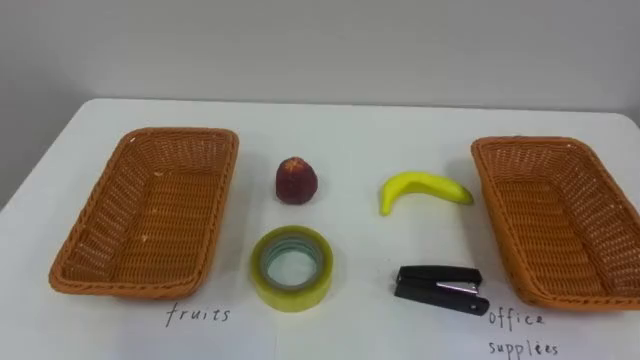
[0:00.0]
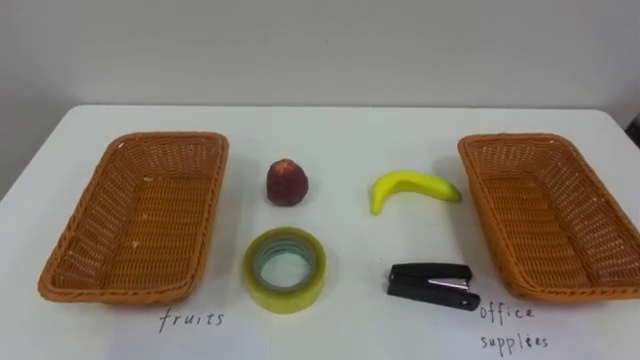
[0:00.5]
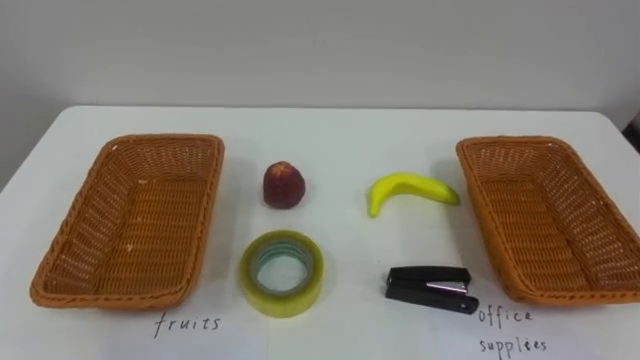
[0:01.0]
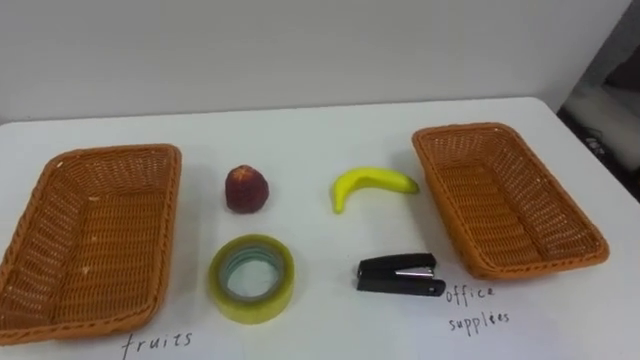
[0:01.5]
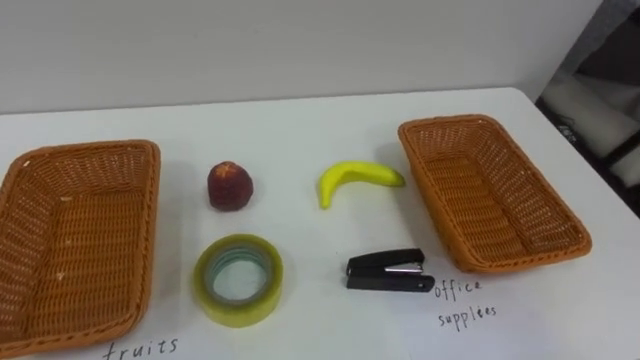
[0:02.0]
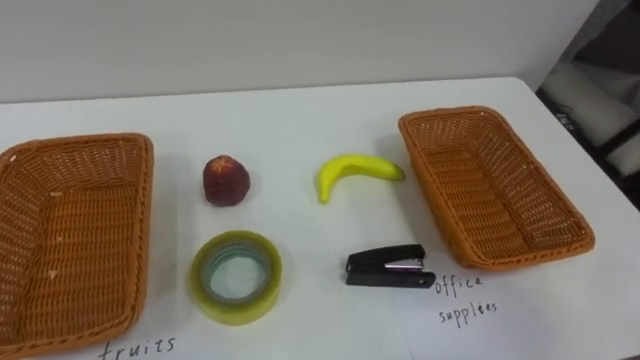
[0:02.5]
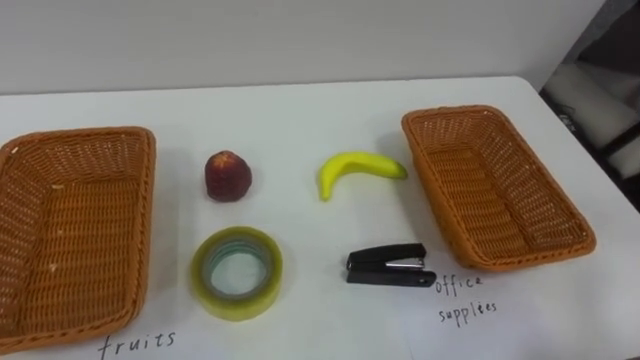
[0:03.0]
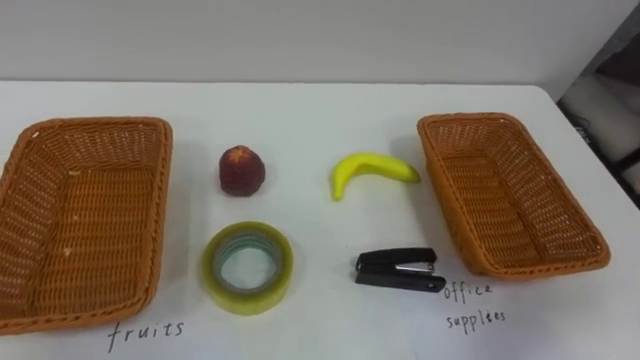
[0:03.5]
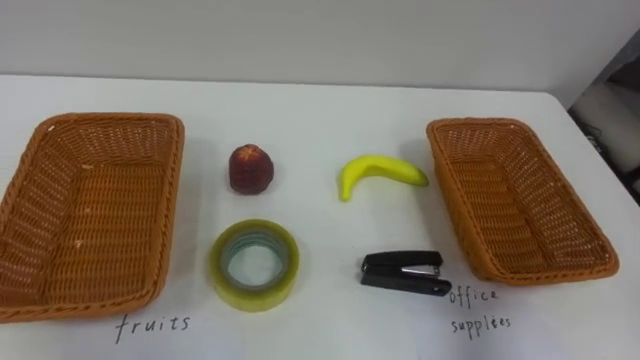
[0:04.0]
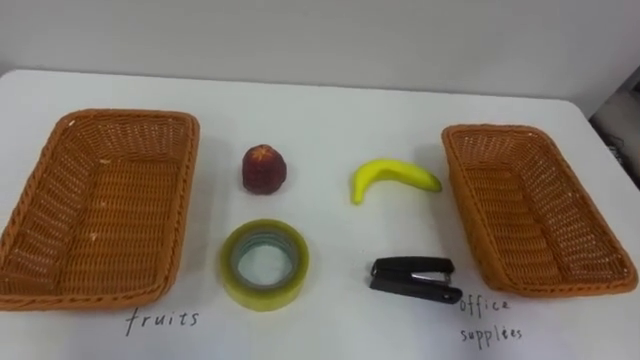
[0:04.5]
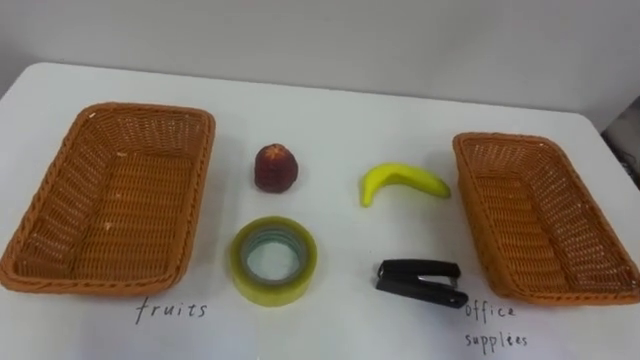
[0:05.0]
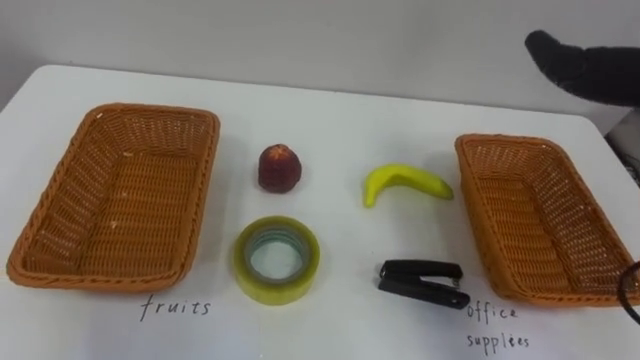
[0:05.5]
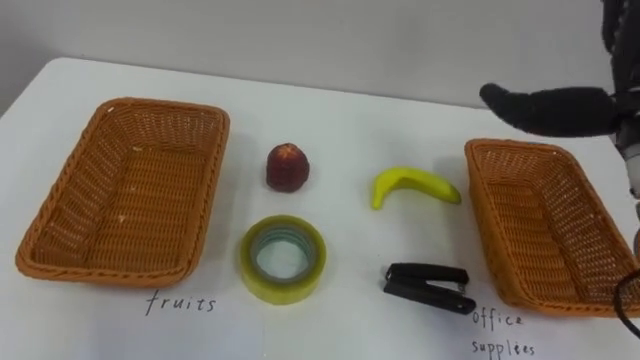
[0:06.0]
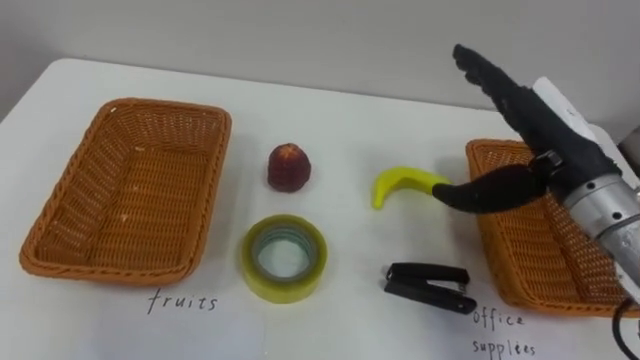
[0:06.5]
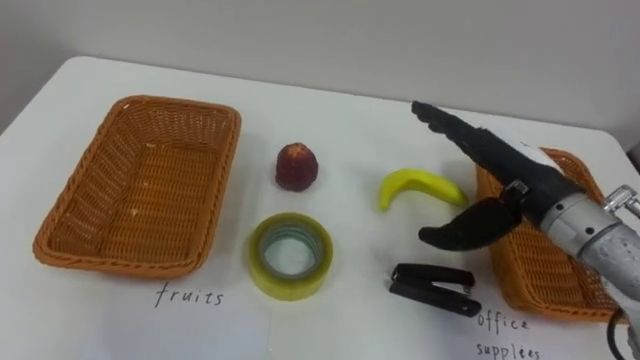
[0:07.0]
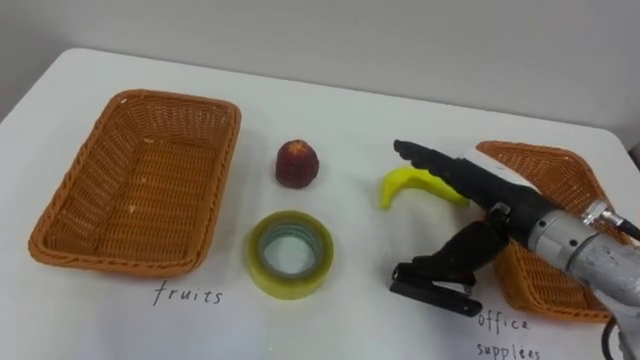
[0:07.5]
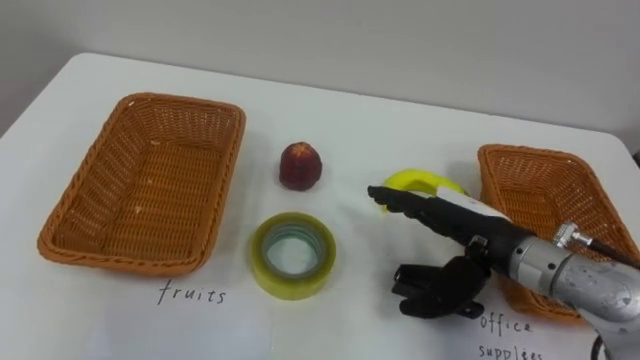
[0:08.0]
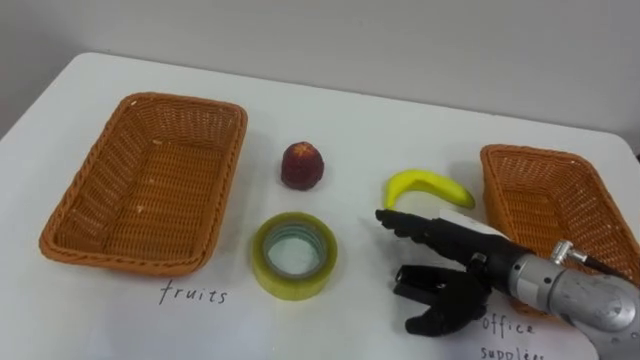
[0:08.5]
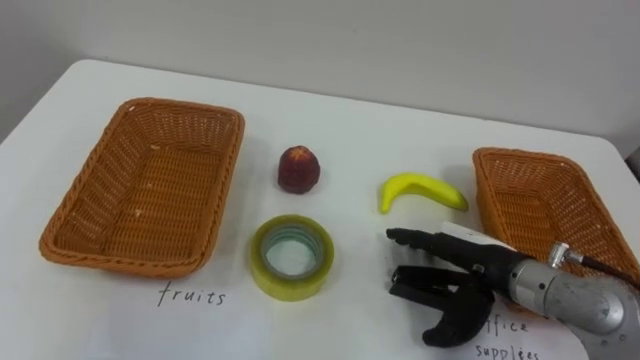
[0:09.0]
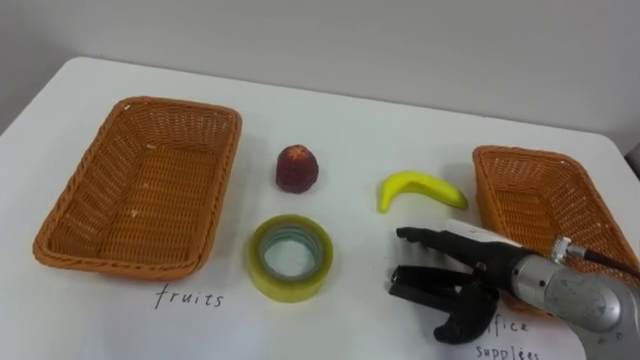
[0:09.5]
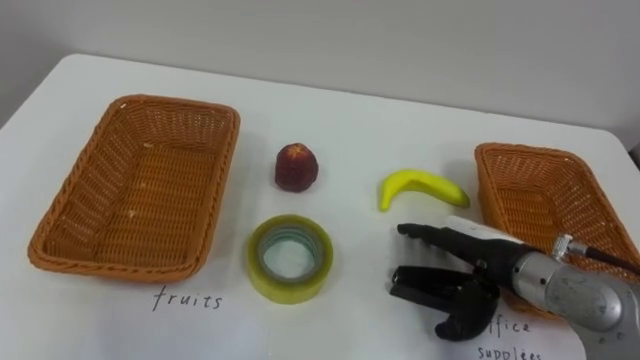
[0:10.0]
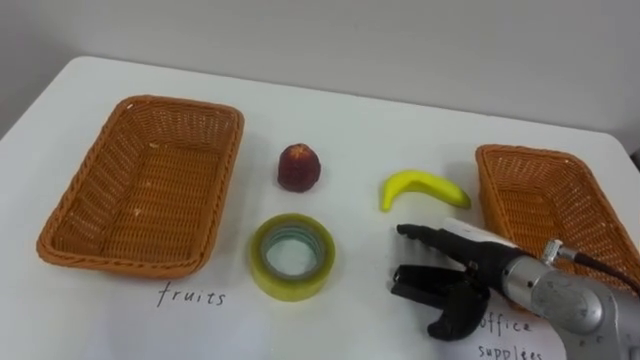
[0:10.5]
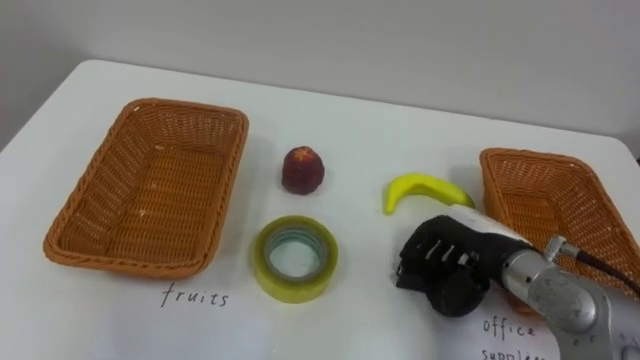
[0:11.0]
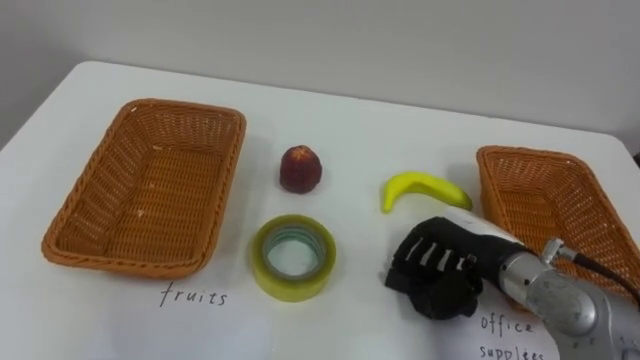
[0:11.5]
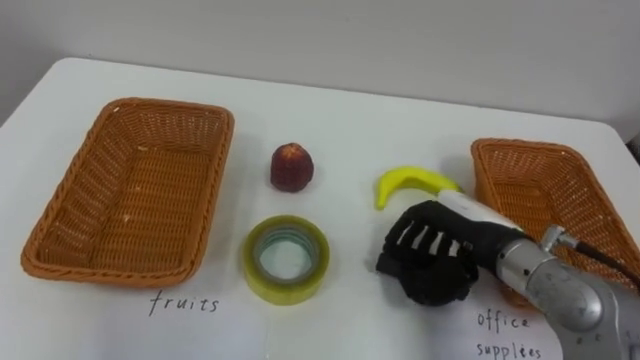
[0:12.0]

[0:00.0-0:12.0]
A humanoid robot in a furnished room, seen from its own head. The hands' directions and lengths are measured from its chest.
Task of the whole recording: Separate the items on the table and place them into the two baskets.
0:06.0 to 0:08.0: The right hand heads downward and to the left, covering about 20 cm.
0:10.0 to 0:12.0: The right hand closes its fingers.

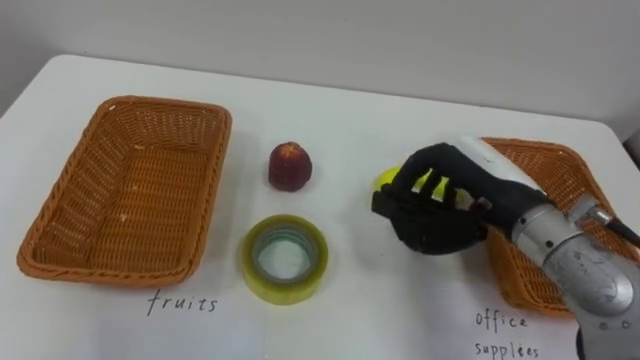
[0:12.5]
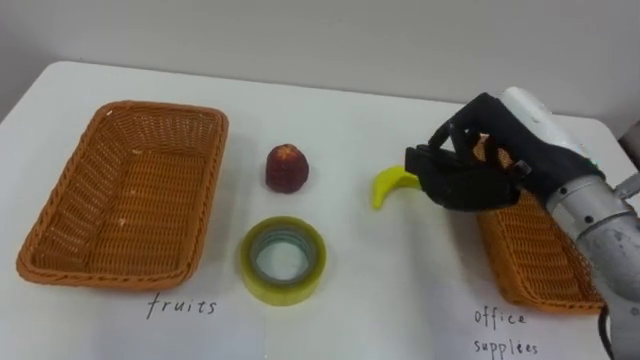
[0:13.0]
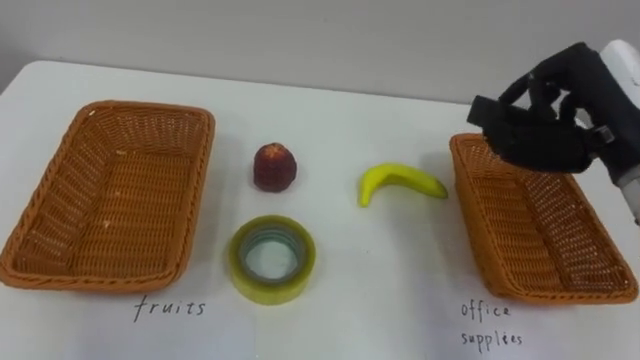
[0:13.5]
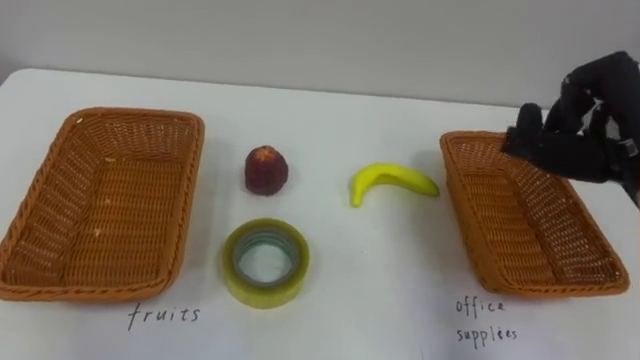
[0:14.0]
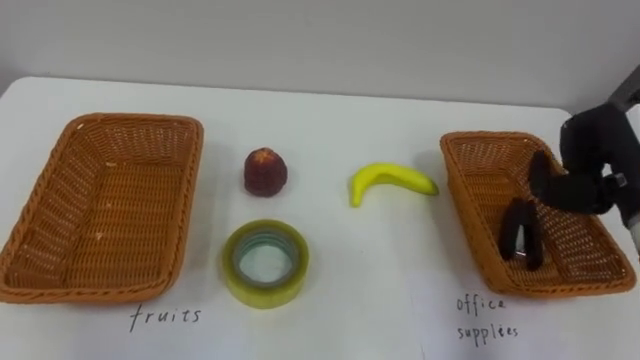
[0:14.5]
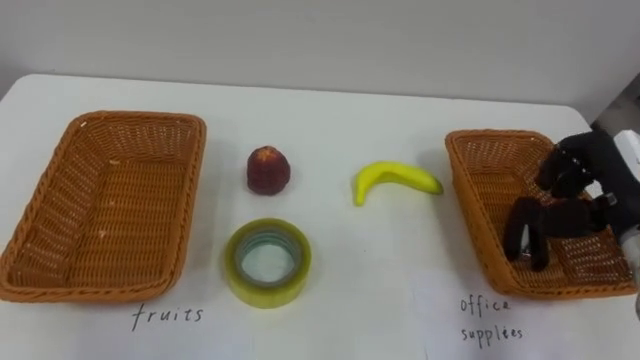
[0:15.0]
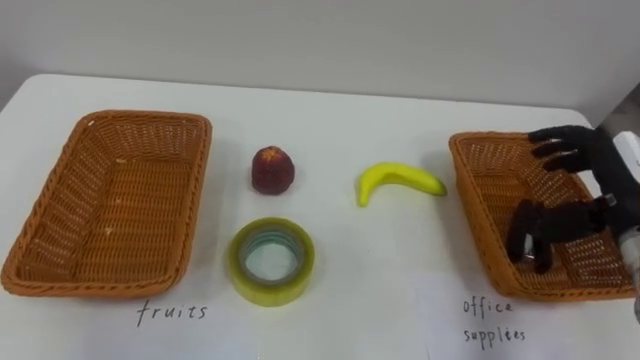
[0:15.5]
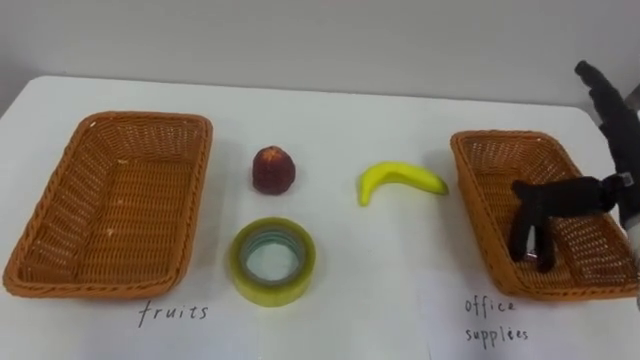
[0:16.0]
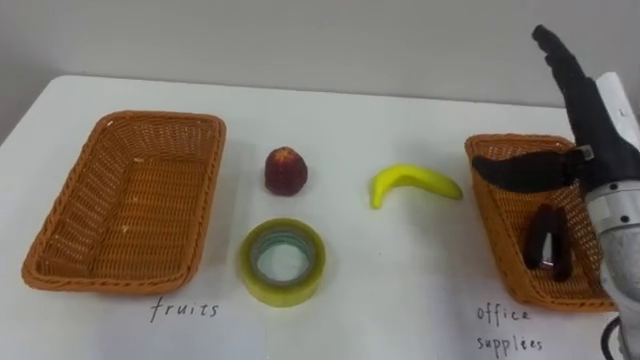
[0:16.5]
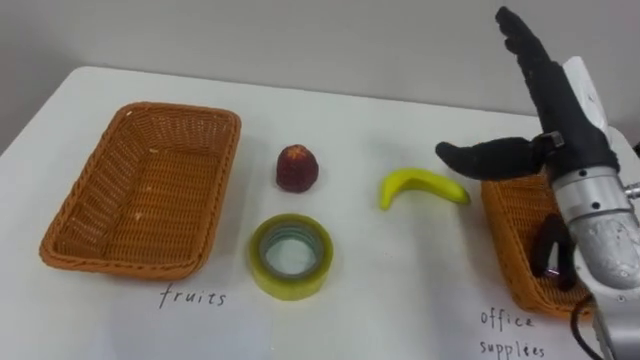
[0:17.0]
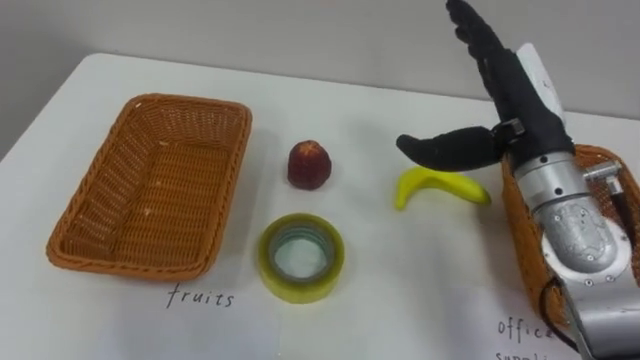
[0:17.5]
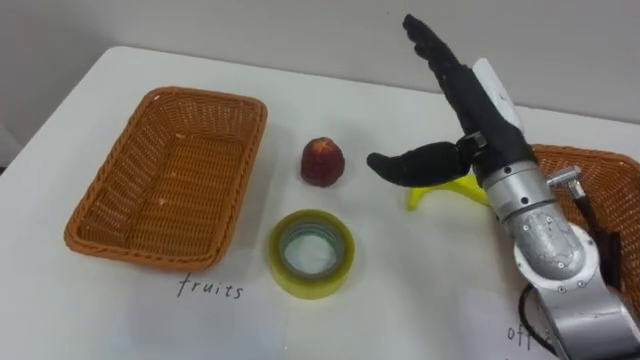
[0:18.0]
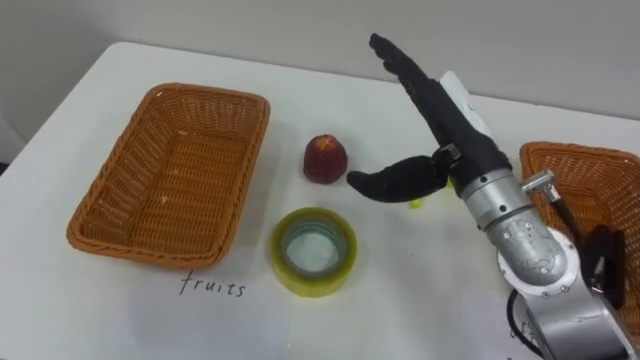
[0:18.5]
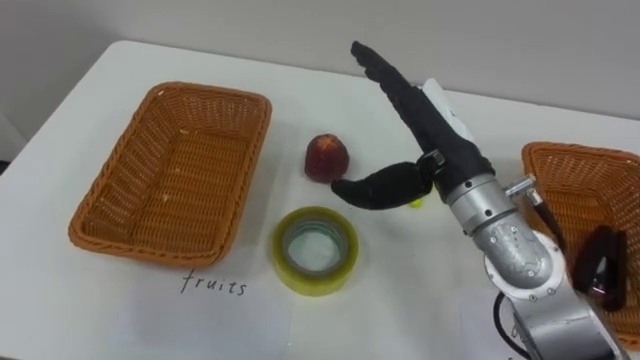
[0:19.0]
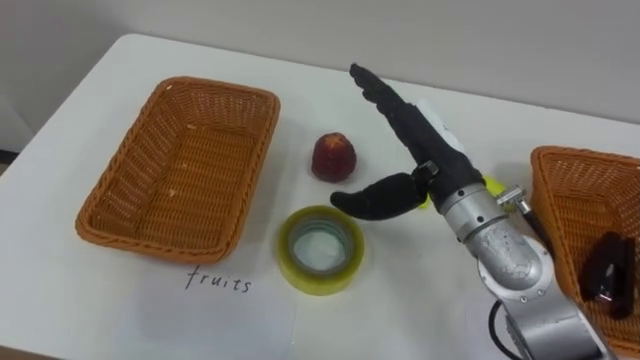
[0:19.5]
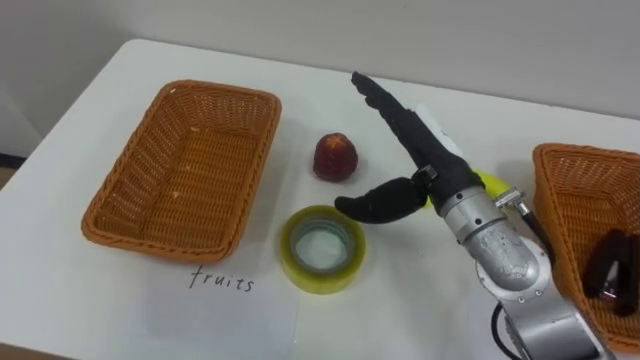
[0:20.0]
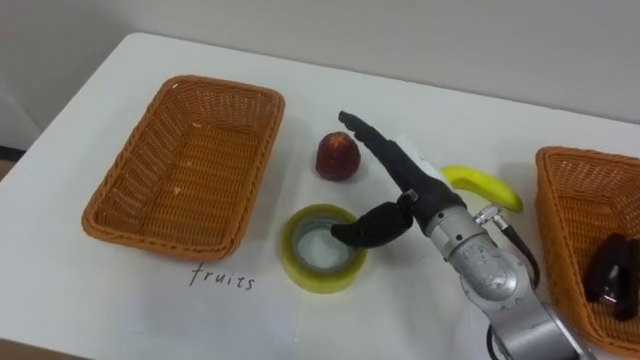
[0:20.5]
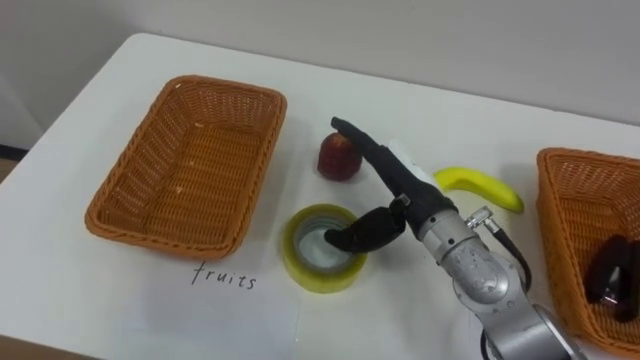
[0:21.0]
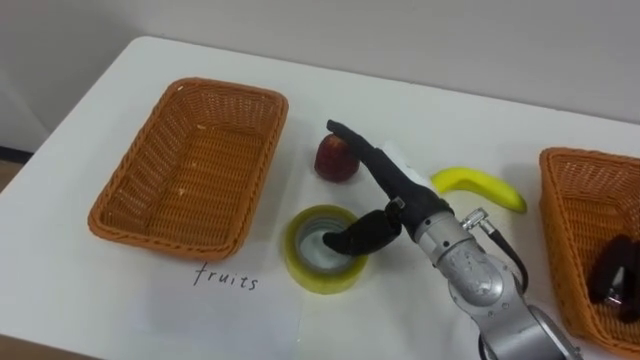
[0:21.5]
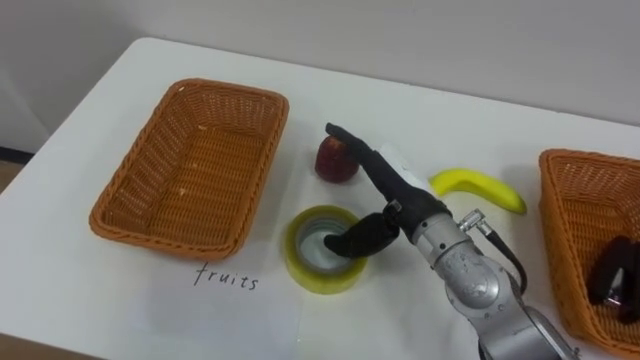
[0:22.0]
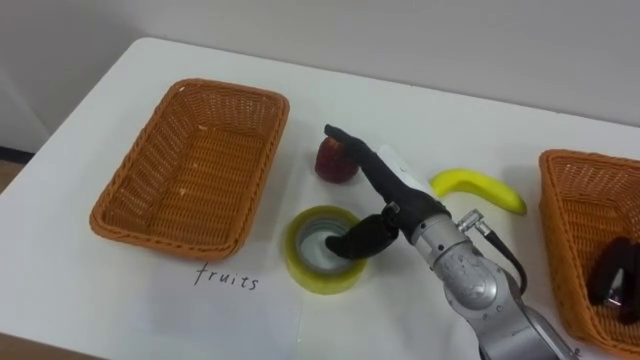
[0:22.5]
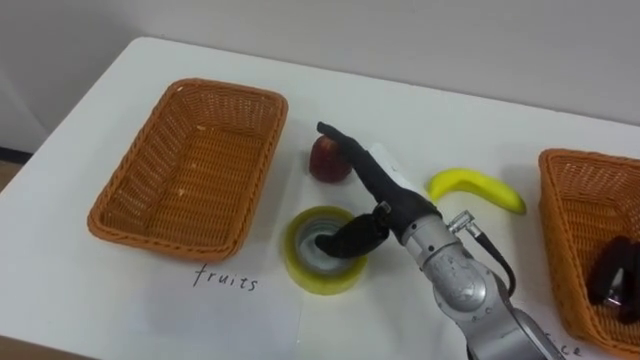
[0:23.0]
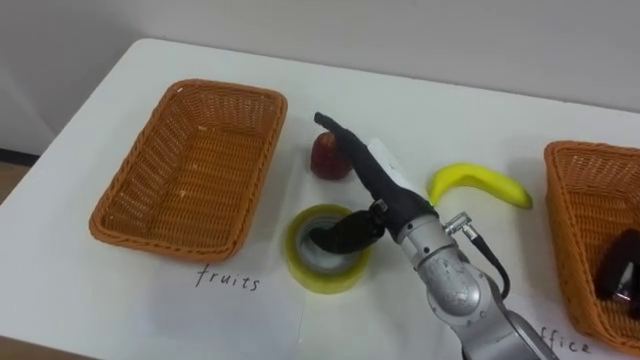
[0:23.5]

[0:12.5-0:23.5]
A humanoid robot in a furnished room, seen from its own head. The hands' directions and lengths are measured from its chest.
Task of the whole recording: Separate the items on the table and place them into the two baskets.
0:14.5 to 0:16.0: The right hand opens its fingers.
0:16.0 to 0:18.0: The right hand moves to the left, some 15 cm.
0:18.0 to 0:20.0: The right hand changes place by roughly 5 cm.
0:20.0 to 0:21.5: The right hand changes place by approximately 5 cm.
